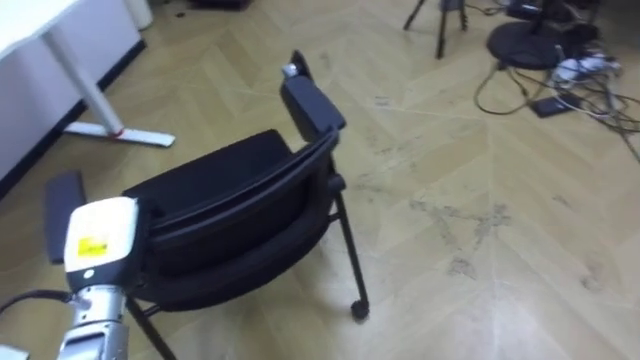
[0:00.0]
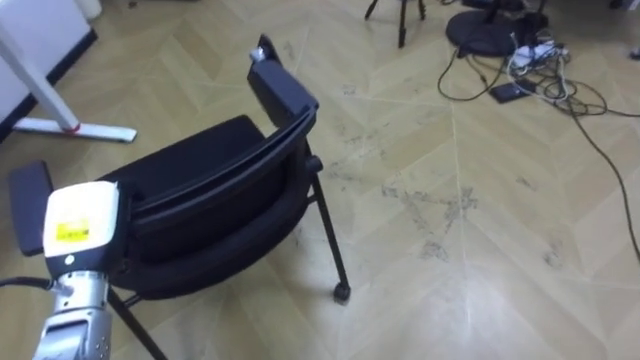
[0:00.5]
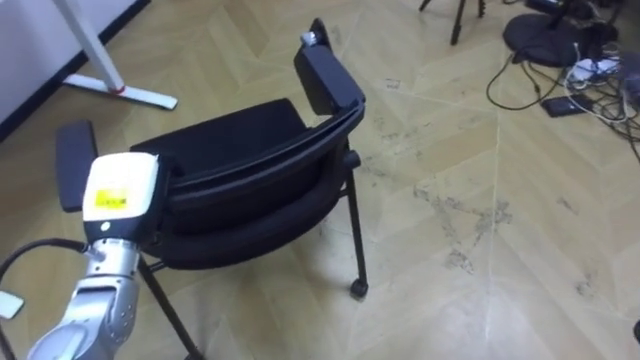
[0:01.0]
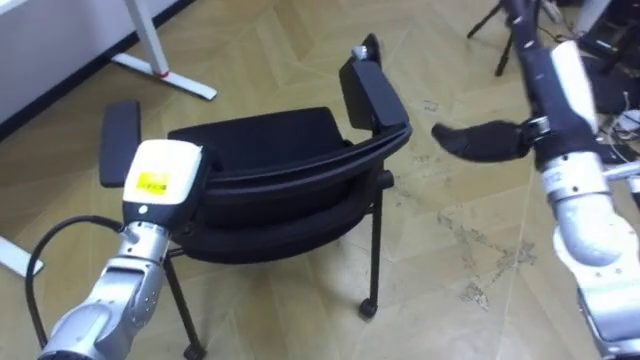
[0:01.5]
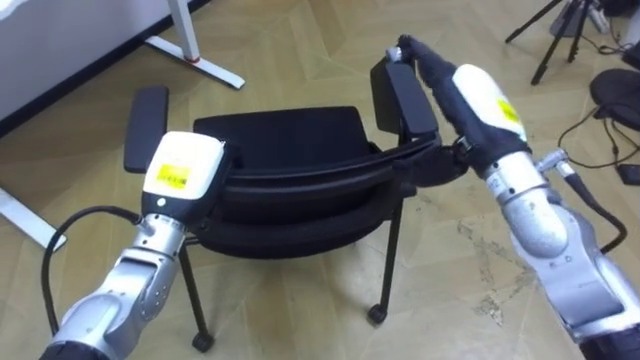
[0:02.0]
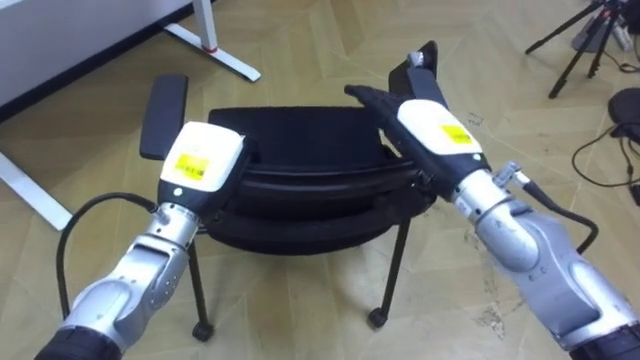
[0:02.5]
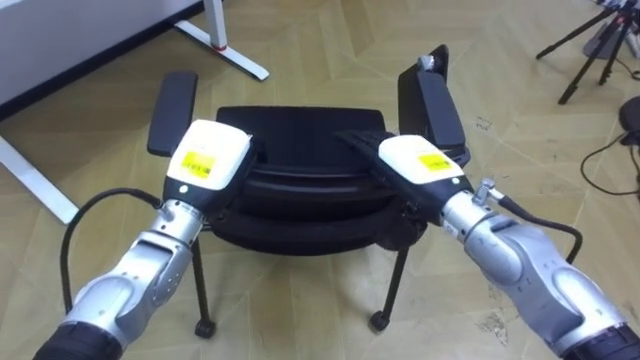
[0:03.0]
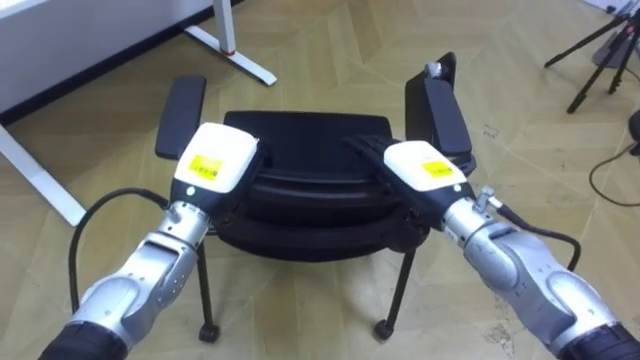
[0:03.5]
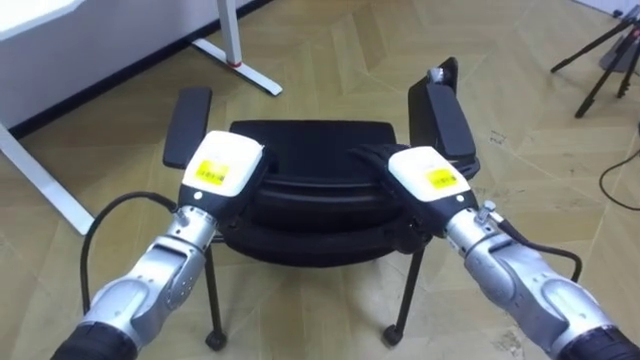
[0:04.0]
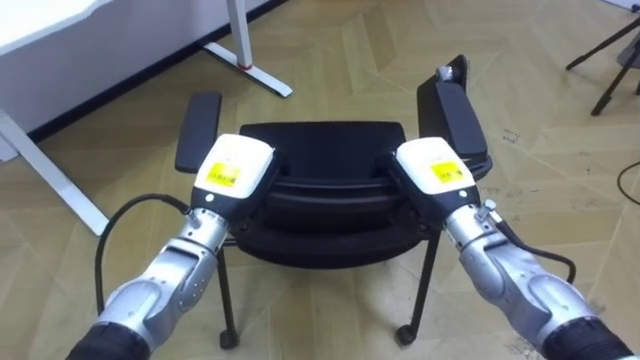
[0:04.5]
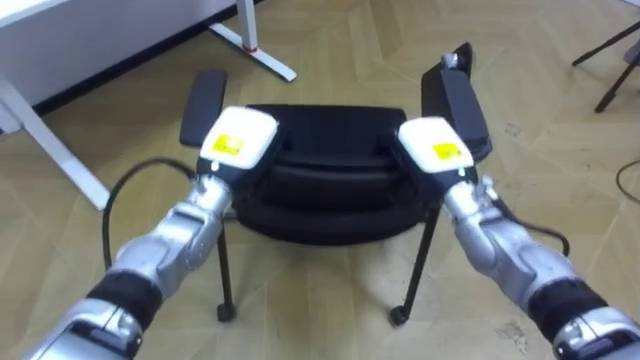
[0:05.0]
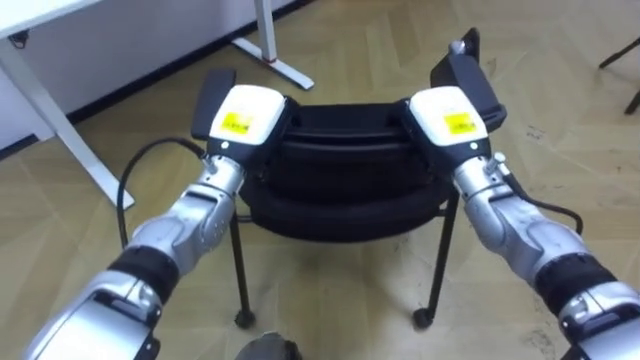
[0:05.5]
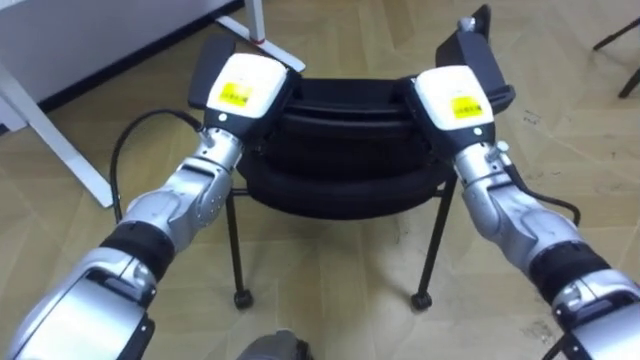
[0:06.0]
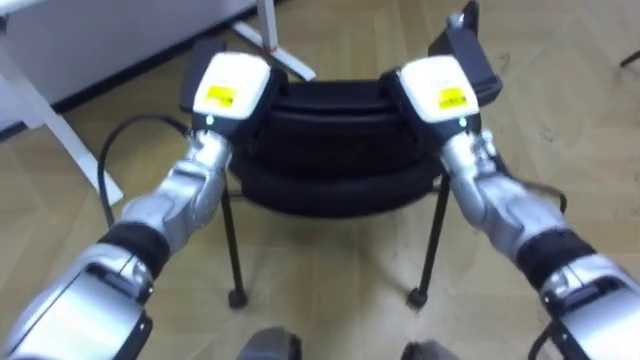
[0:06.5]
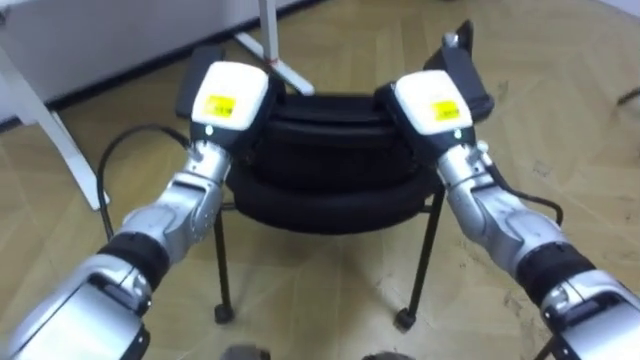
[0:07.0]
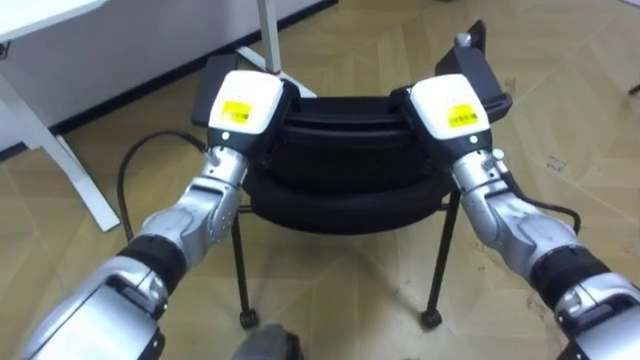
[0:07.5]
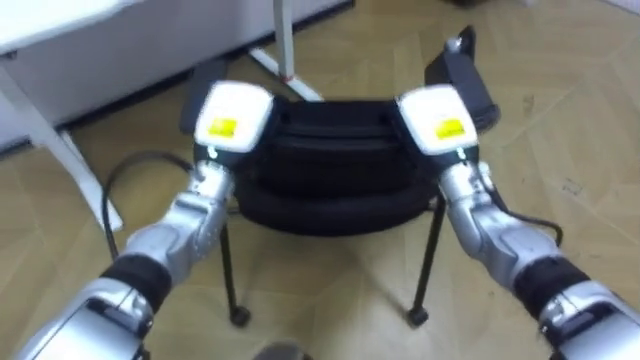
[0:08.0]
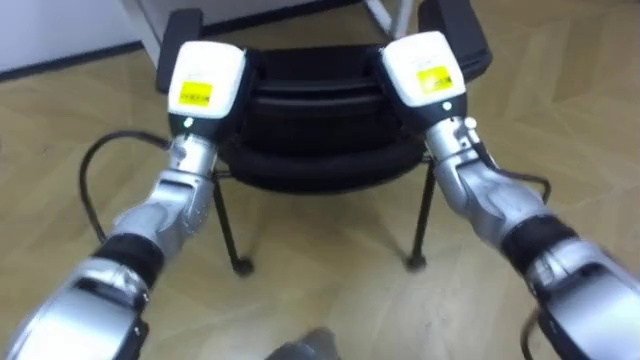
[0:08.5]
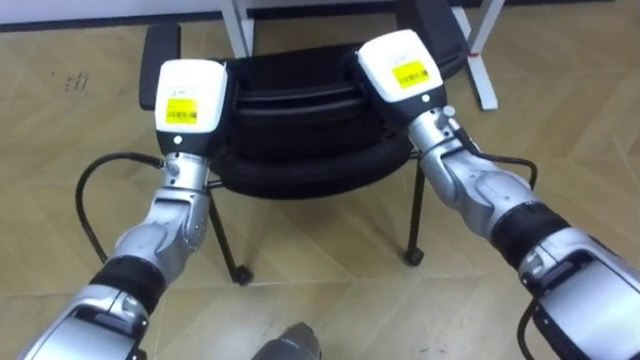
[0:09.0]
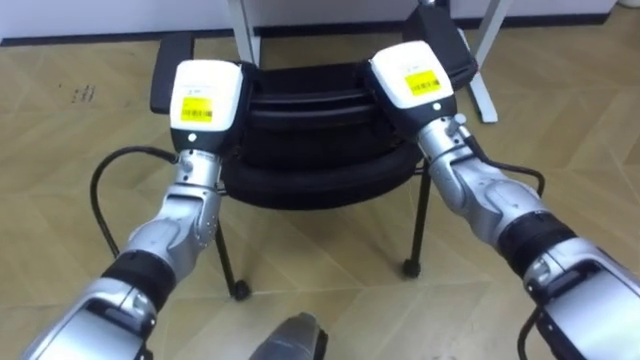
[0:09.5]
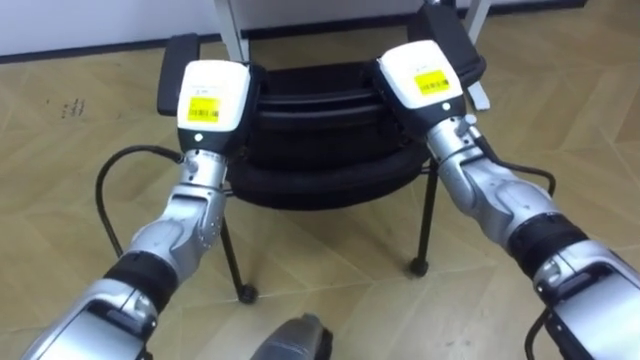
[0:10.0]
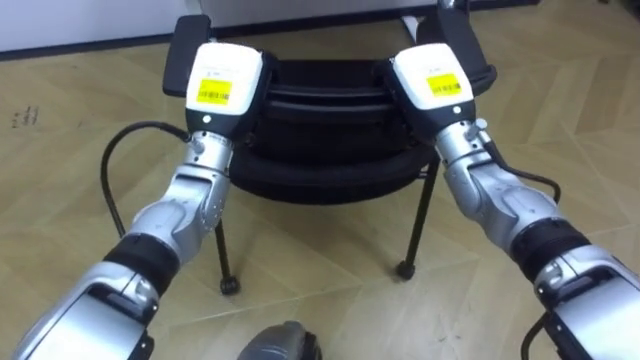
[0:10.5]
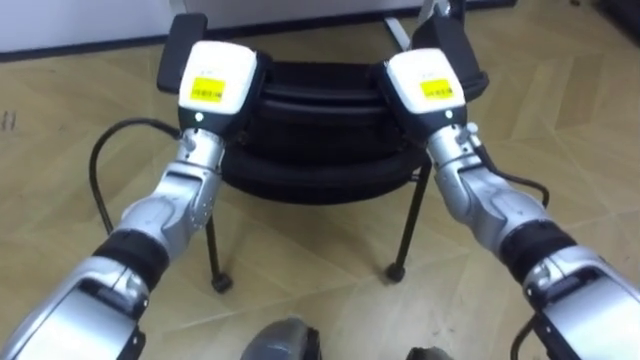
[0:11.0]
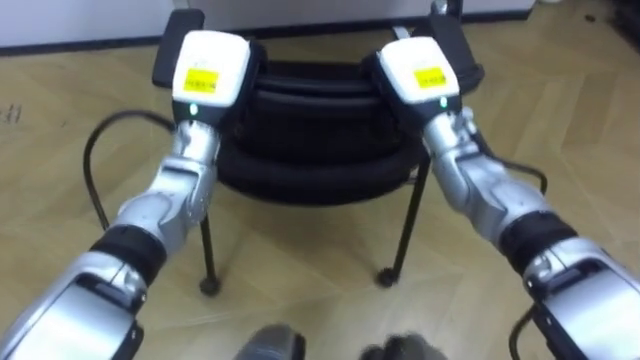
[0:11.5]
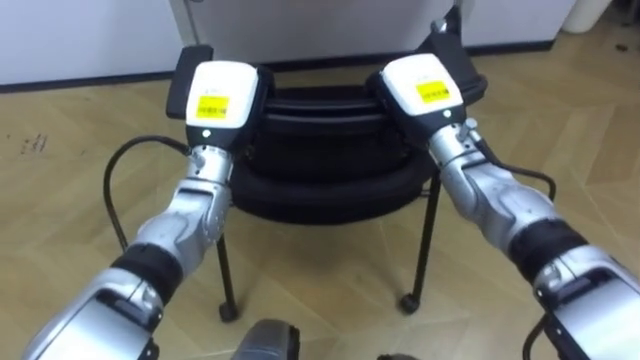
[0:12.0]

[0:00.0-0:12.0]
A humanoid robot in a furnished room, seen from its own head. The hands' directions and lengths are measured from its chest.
Task of the whole recording: Push the chair under the table.
0.0 to 2.0 s: The left hand travels to the right, forward and upward by approximately 10 cm.
2.0 to 4.0 s: The right hand shifts some 10 cm downward.
4.0 to 6.0 s: Both hands move forward and upward, roughly 10 cm. The right hand closes up.
8.0 to 10.0 s: The robot rotates roughly 25 degrees to its left. The right hand ends up roughly 5 cm from where it was.

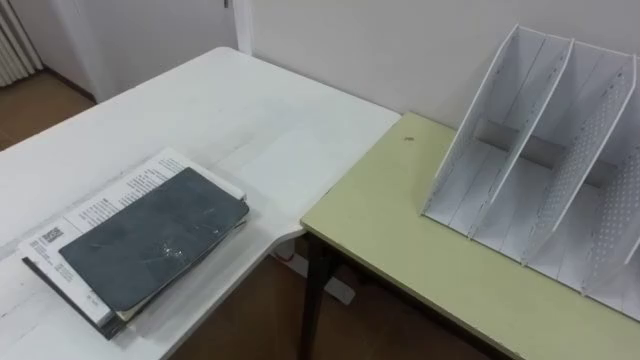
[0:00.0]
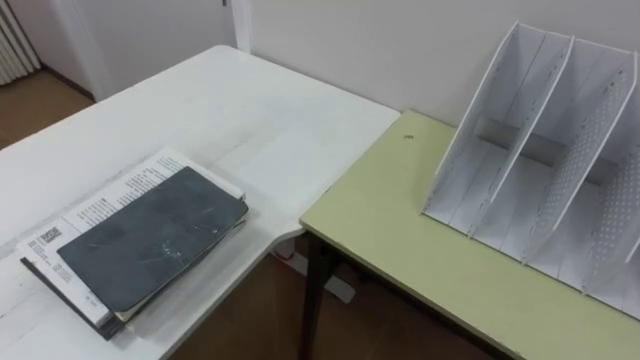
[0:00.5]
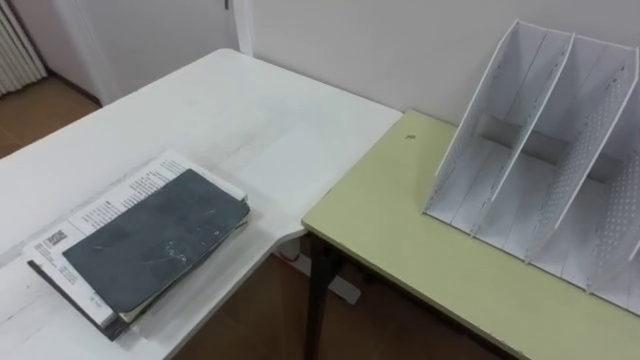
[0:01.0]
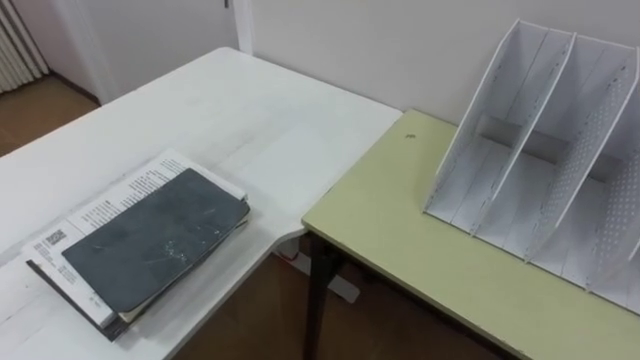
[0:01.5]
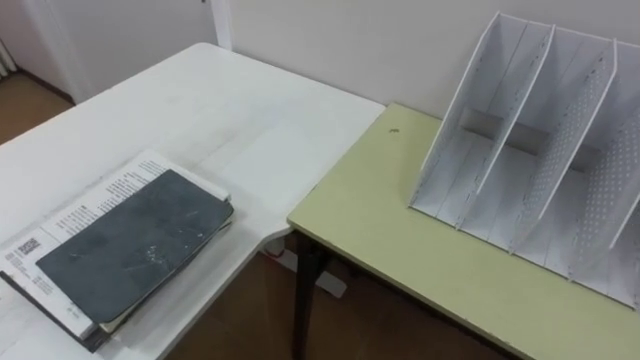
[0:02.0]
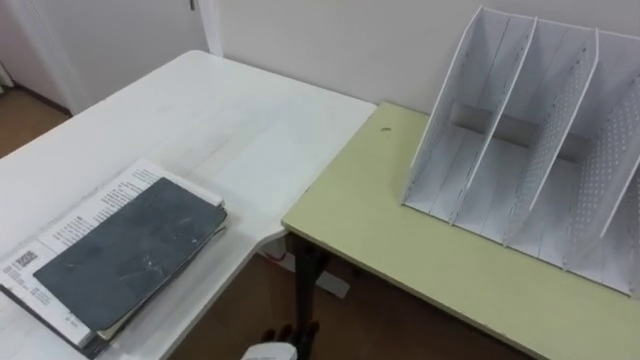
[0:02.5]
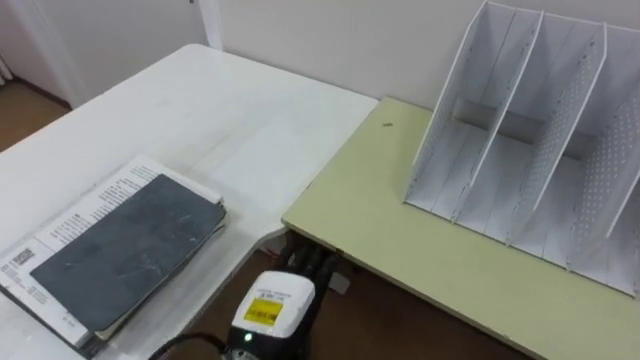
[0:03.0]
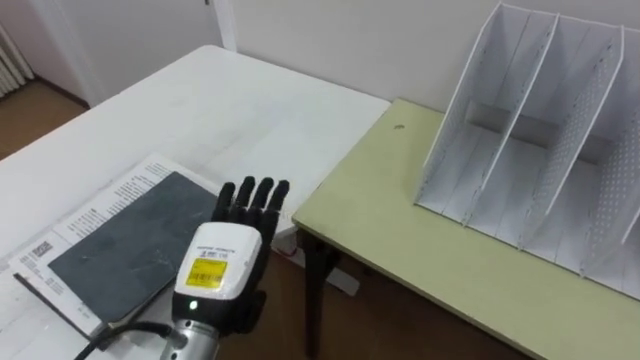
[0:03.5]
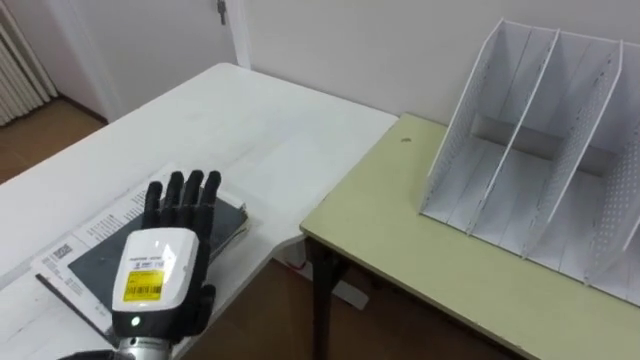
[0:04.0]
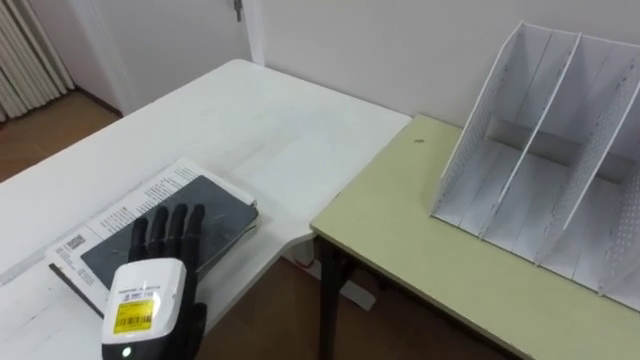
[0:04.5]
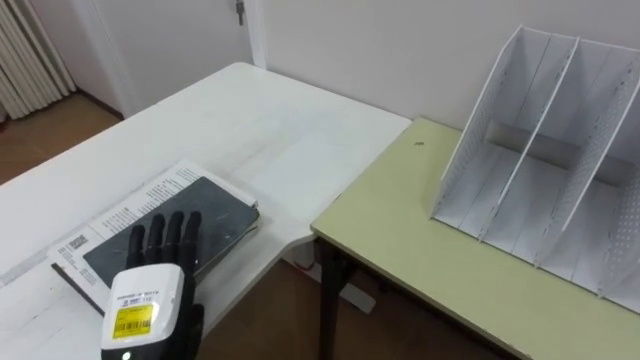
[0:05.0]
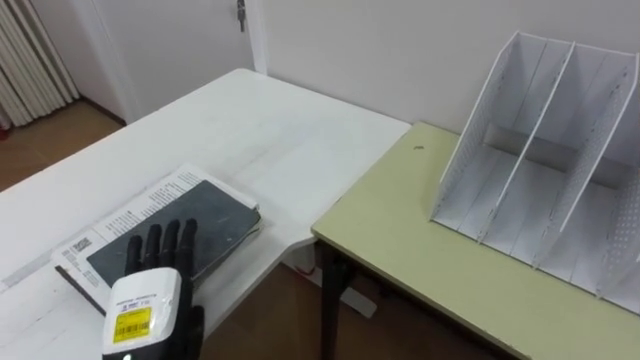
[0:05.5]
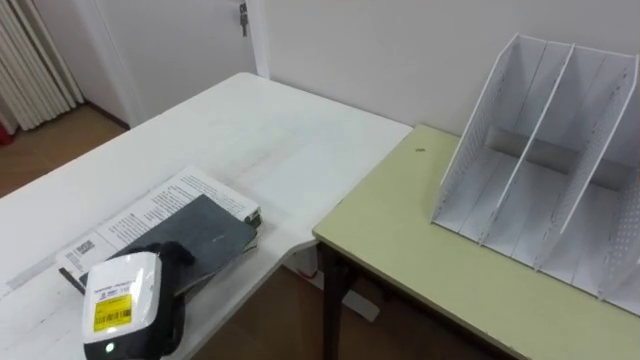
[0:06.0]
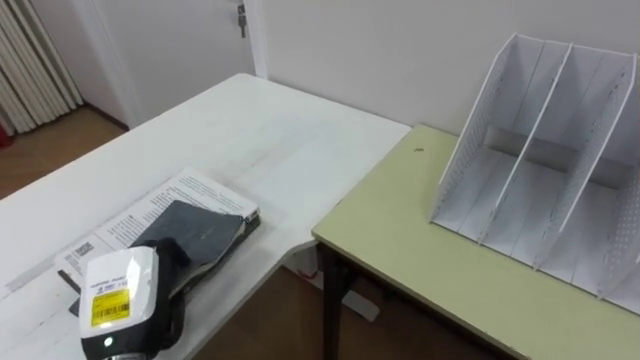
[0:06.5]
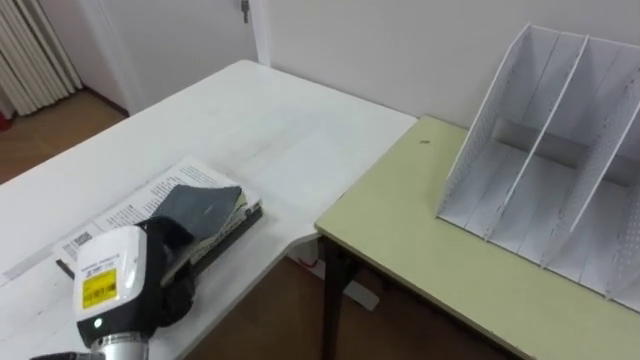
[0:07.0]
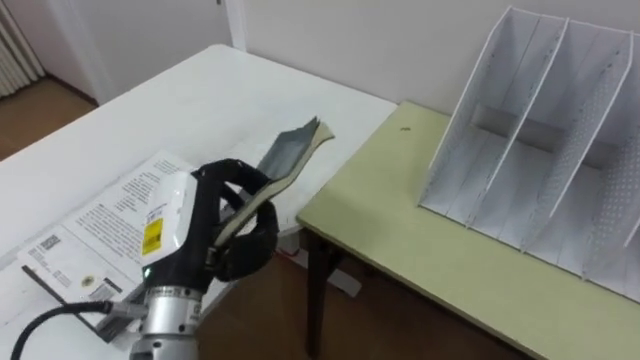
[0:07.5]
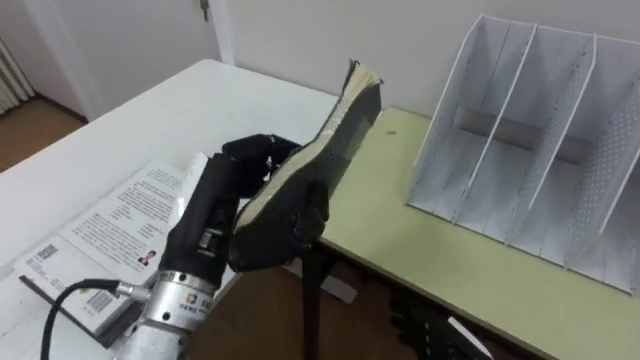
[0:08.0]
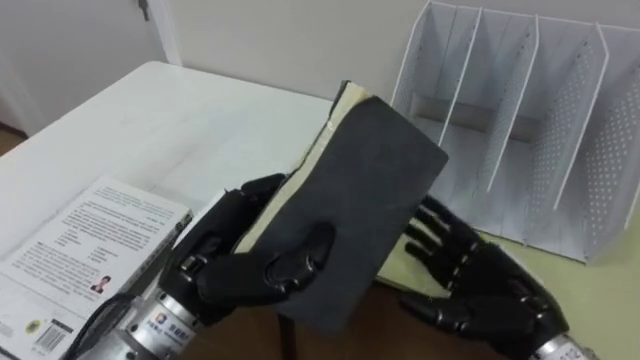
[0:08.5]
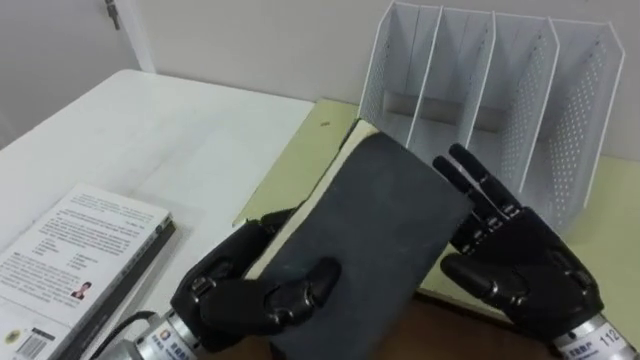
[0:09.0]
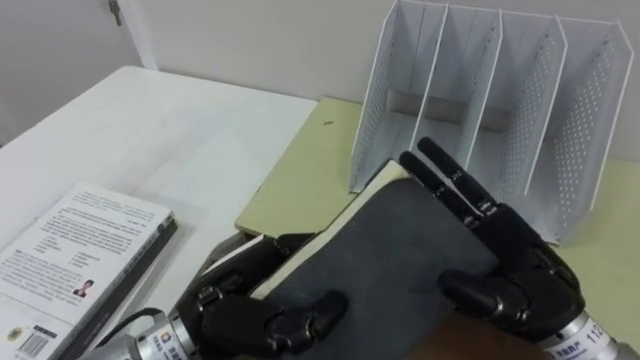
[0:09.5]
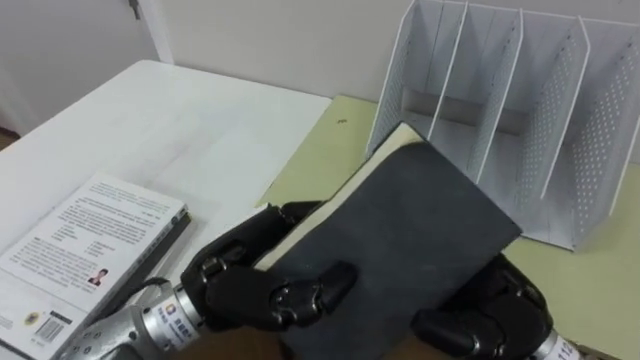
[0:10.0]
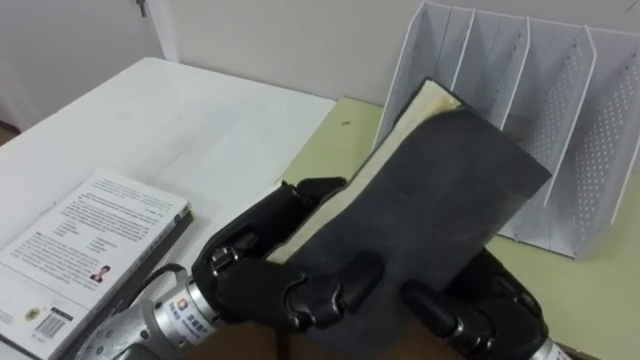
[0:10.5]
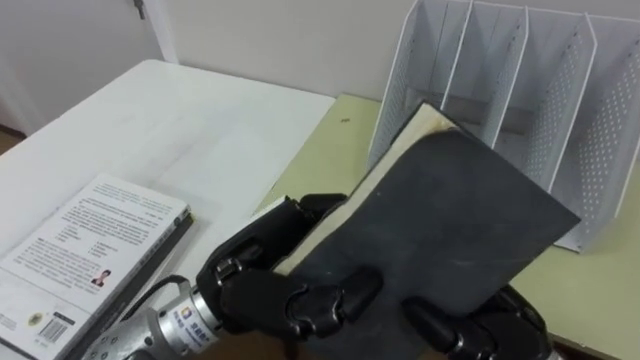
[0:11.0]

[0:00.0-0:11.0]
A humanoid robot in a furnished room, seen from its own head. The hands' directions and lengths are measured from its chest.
Task of the whole recording: Put the books on the table onto the bookshelf.
3.5 to 5.5 s: The left hand moves to the left, about 10 cm.
5.5 to 7.5 s: The left hand travels upward and to the right by about 10 cm, and closes up.
7.5 to 9.0 s: The left hand shifts about 5 cm to the right.
9.0 to 11.0 s: The right hand travels to the left by roughly 5 cm, and closes its fingers. The left hand ends up about 5 cm from where it was.
